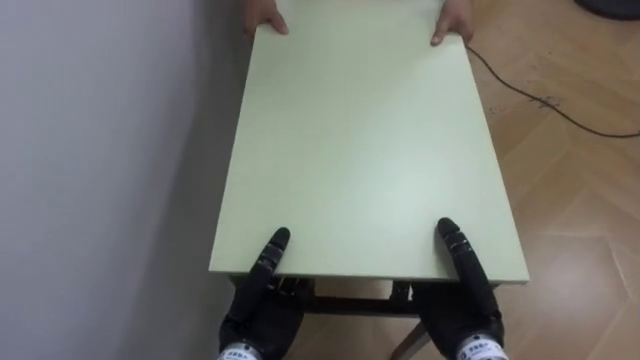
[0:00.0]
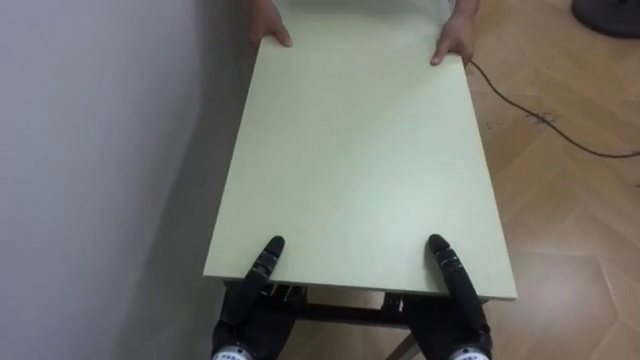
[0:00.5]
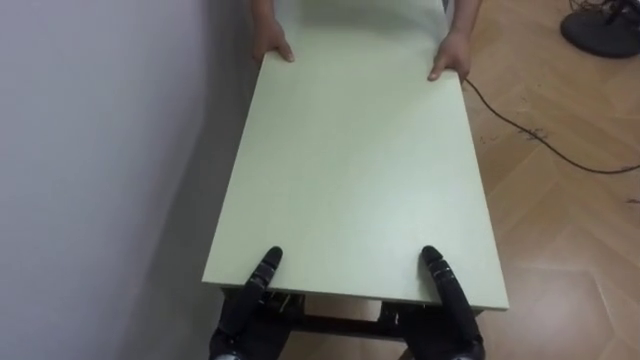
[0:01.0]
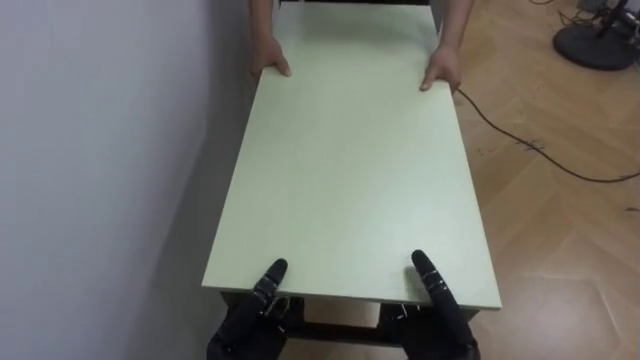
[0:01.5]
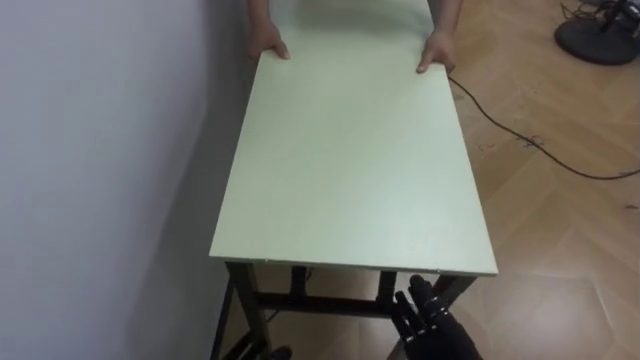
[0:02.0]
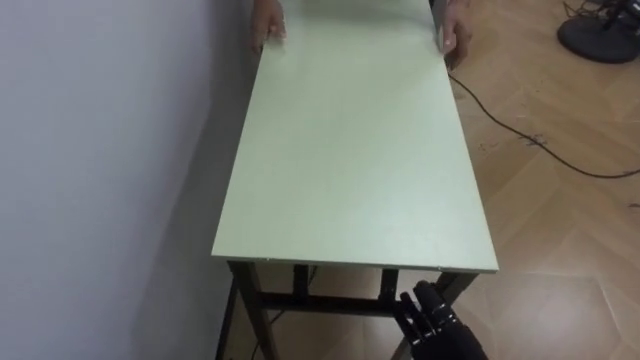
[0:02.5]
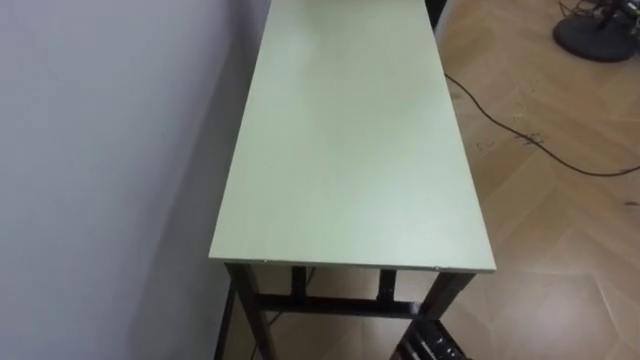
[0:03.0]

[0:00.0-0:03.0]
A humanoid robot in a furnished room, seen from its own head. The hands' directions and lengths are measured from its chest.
Task of the whole recording: Move the table to the back left with someone.
0:00.0 to 0:01.5: The hands both shift downward by about 5 cm.

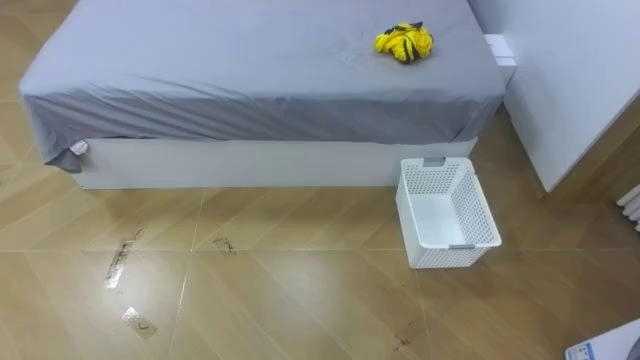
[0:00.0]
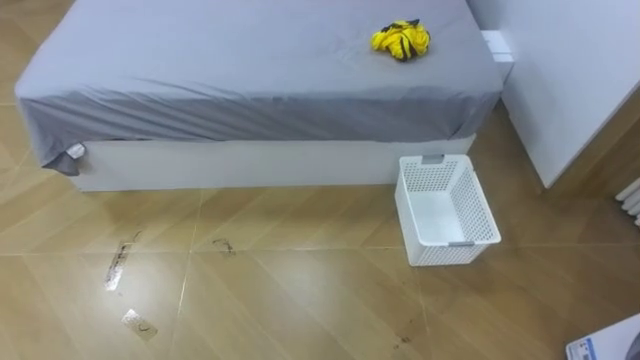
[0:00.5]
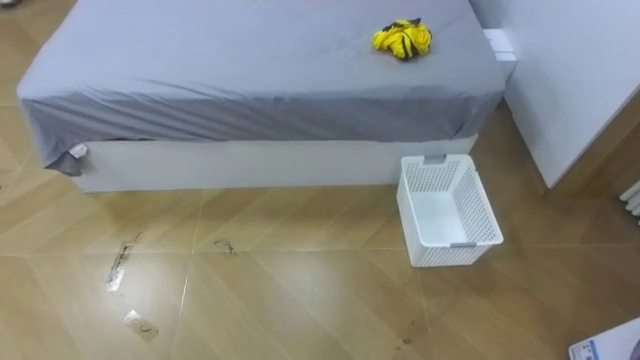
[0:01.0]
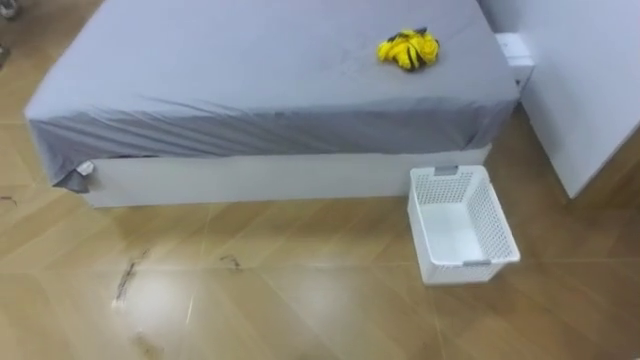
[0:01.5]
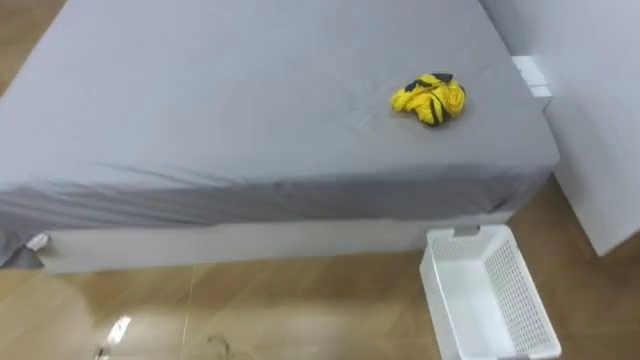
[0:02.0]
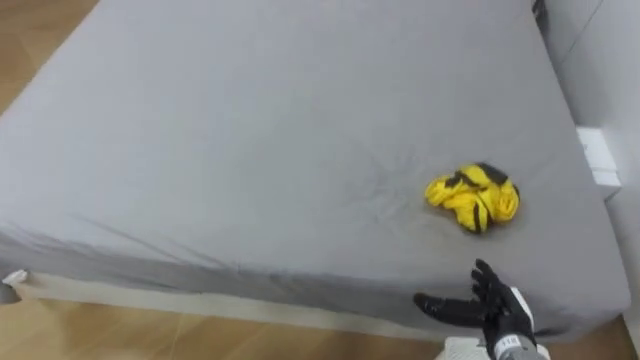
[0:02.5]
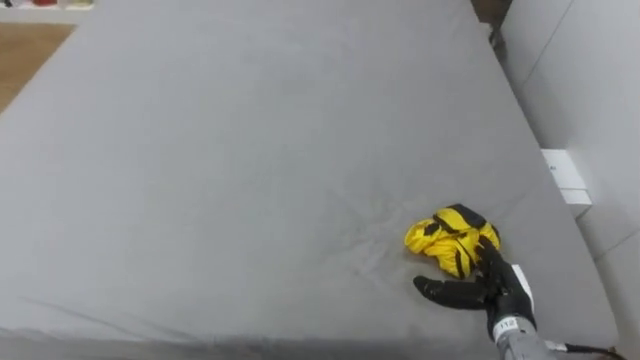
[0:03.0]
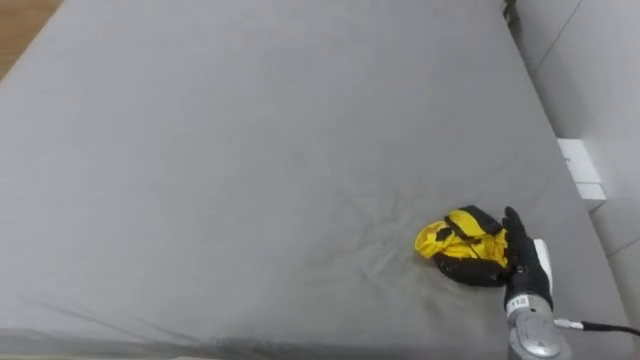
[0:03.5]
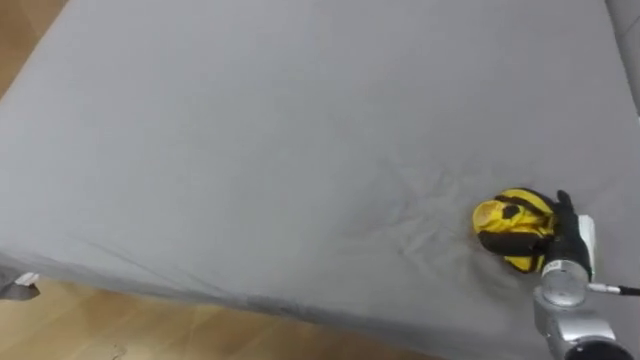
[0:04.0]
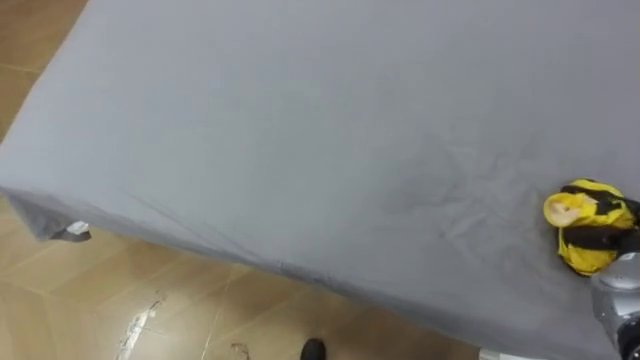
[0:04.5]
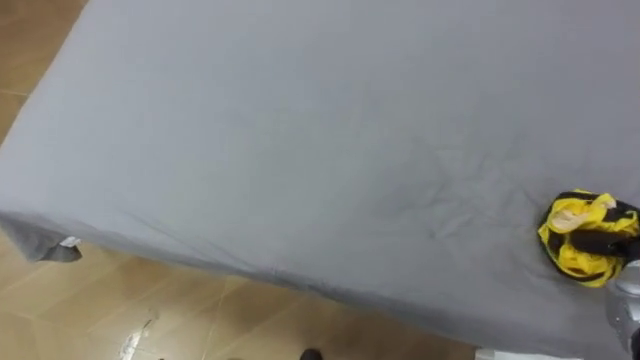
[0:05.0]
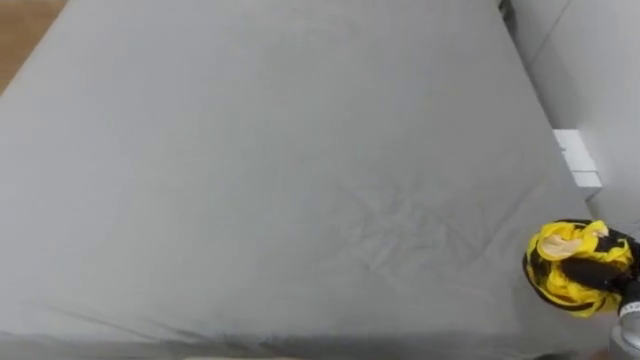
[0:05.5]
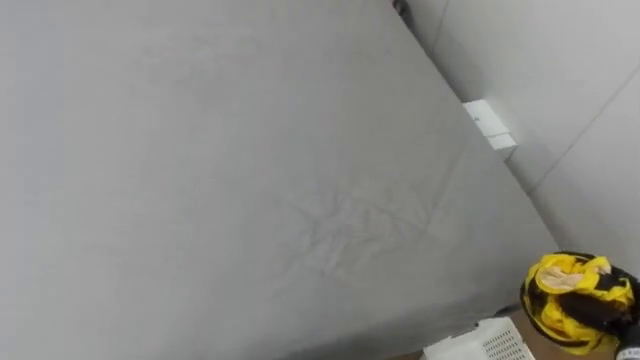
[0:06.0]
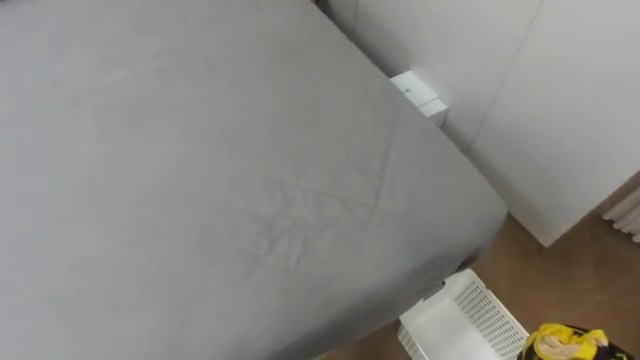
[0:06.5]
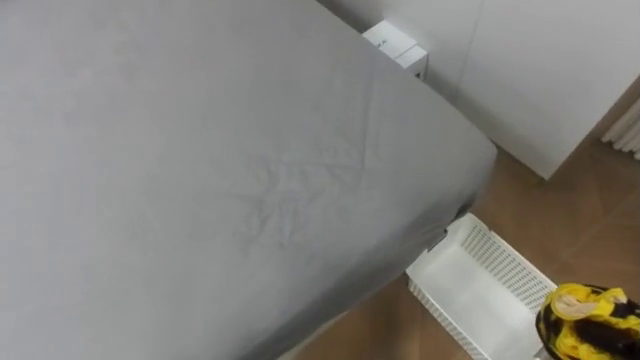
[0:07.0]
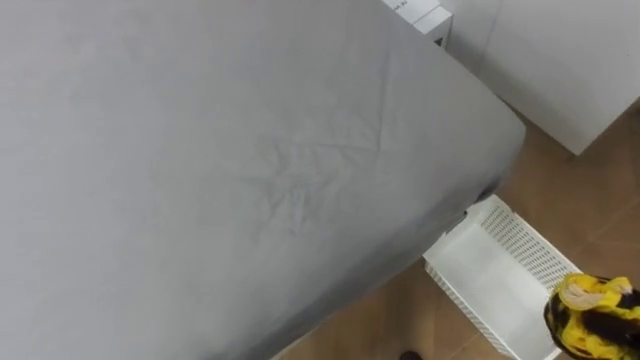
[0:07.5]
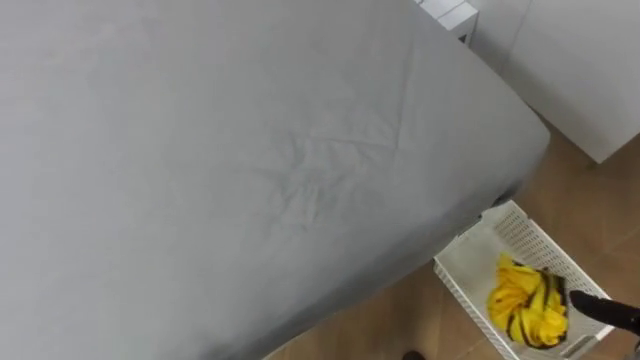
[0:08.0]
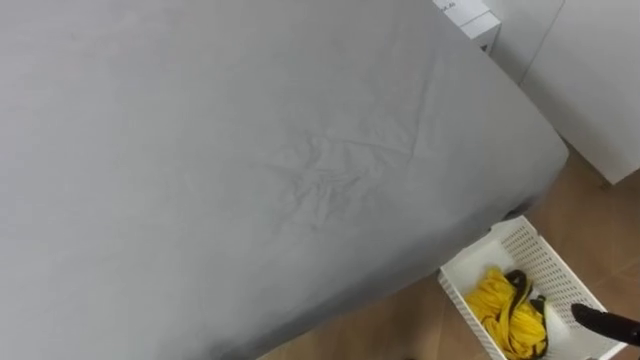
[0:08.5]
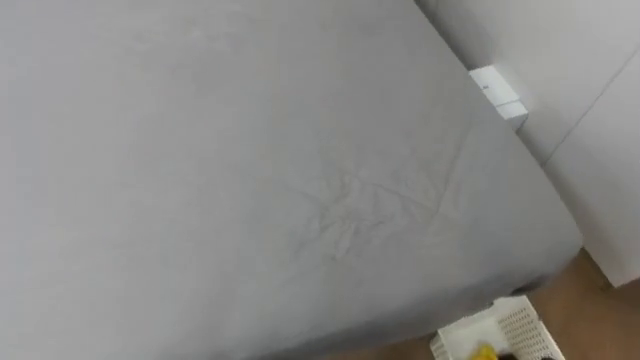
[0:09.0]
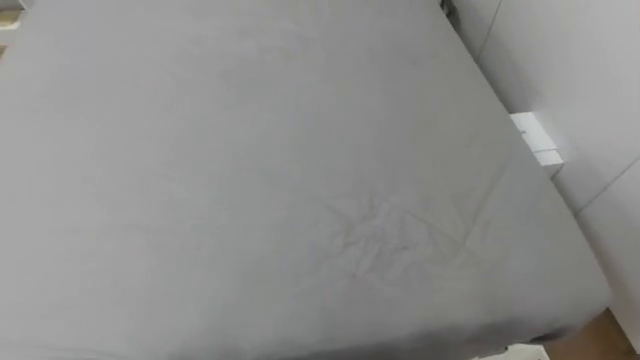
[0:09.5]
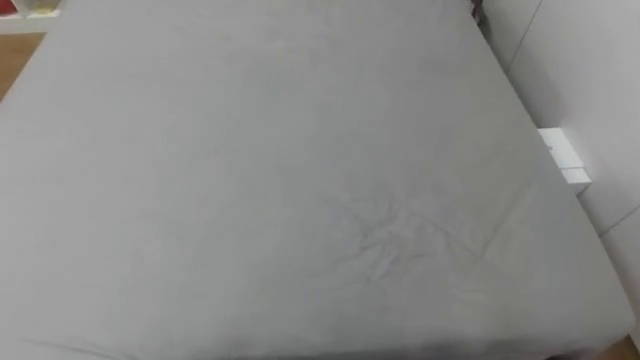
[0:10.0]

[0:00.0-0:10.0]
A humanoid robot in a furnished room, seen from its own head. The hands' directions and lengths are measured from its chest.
Task of the whole recording: Pick up the yellow clothes on the bed and place them into the white basket on the right.
0:04.0 to 0:06.0: The right hand moves backward and to the right, approximately 15 cm, and closes up.

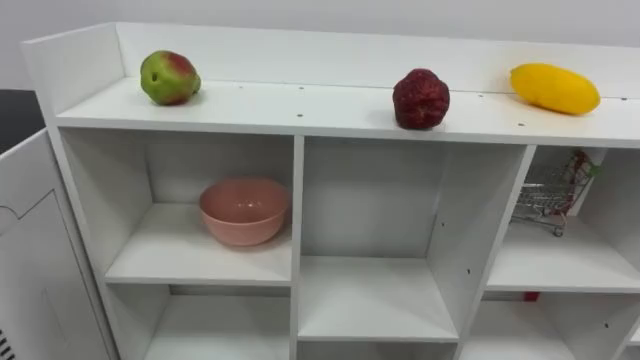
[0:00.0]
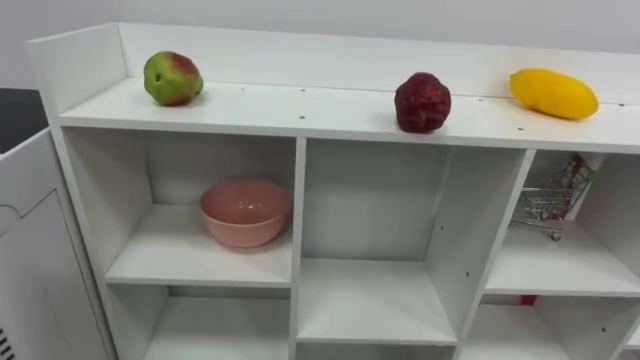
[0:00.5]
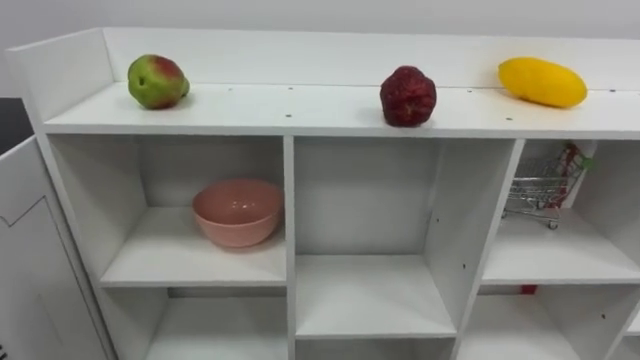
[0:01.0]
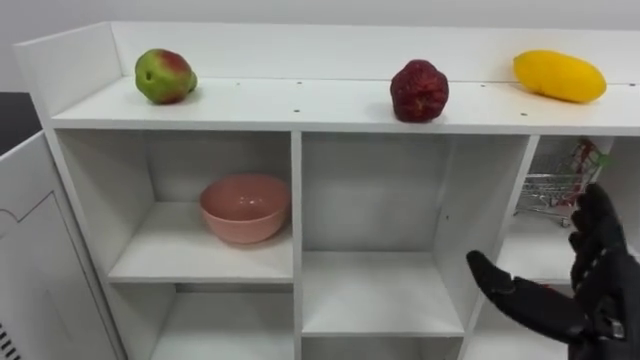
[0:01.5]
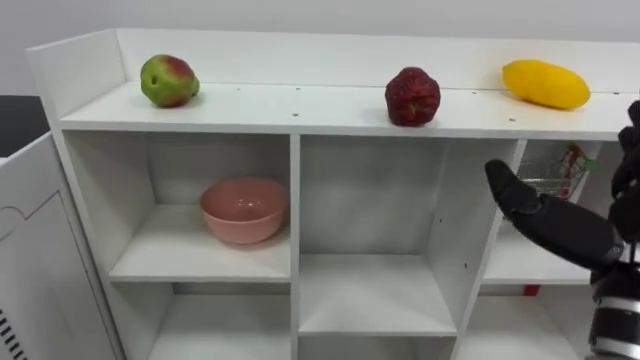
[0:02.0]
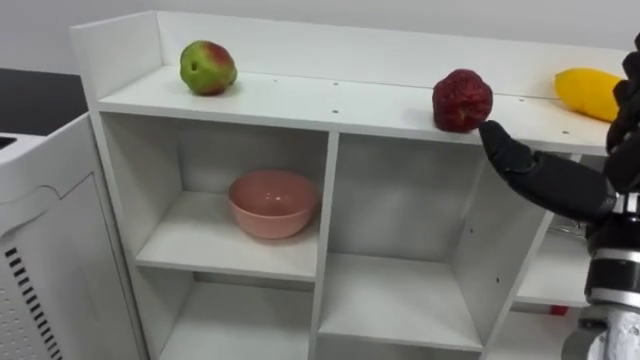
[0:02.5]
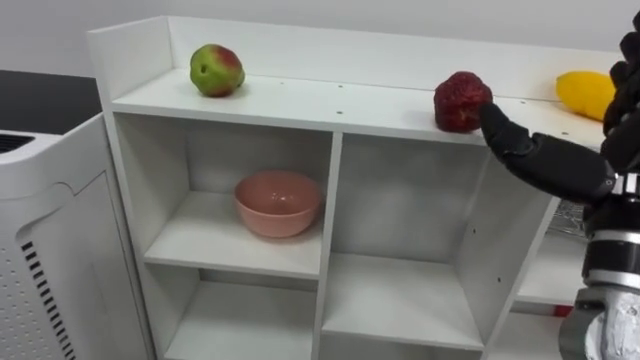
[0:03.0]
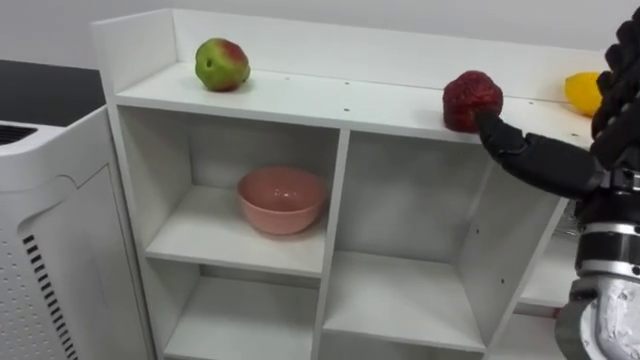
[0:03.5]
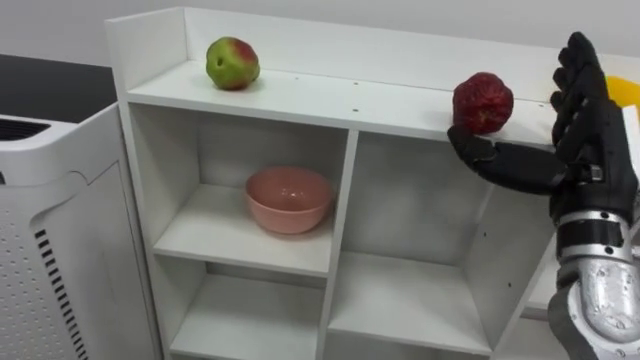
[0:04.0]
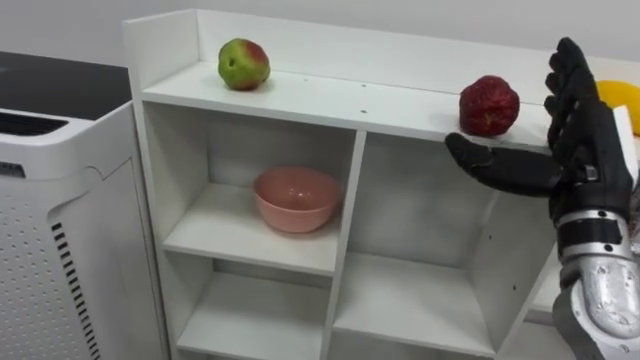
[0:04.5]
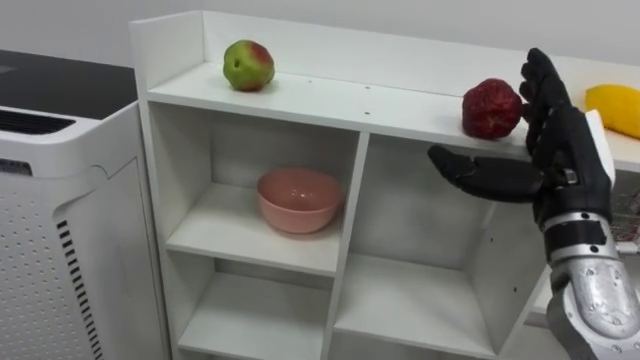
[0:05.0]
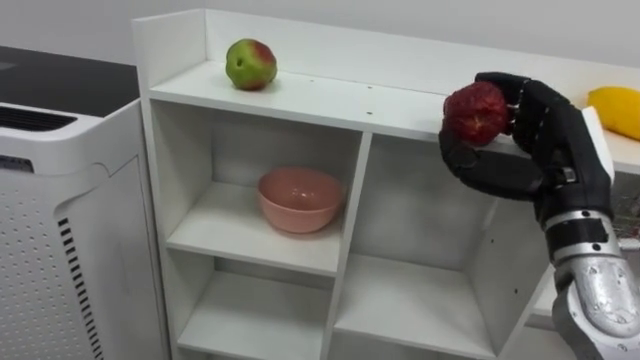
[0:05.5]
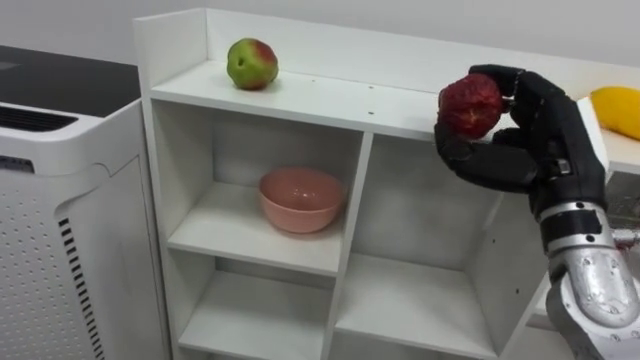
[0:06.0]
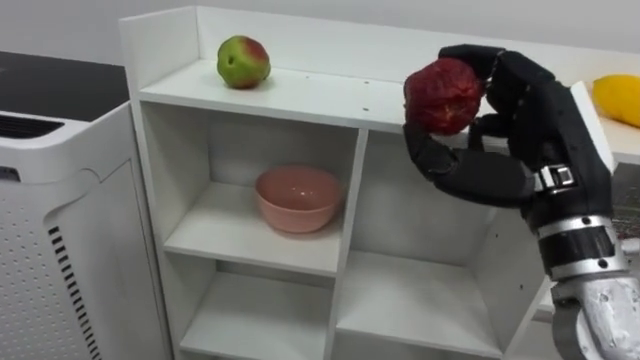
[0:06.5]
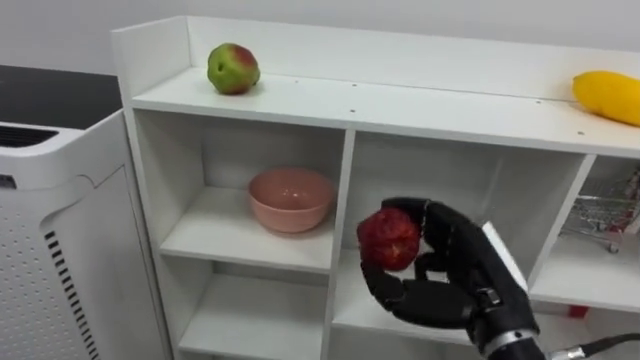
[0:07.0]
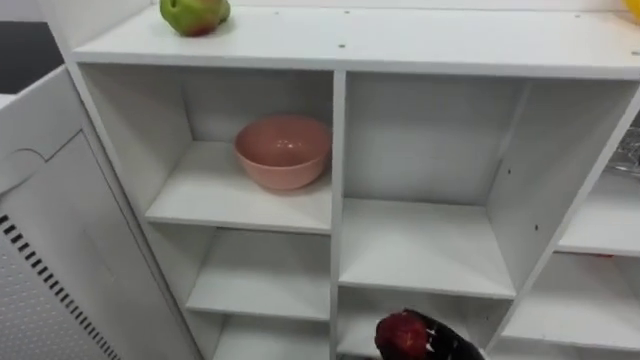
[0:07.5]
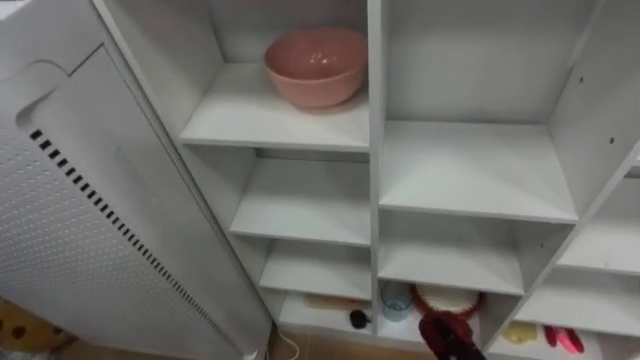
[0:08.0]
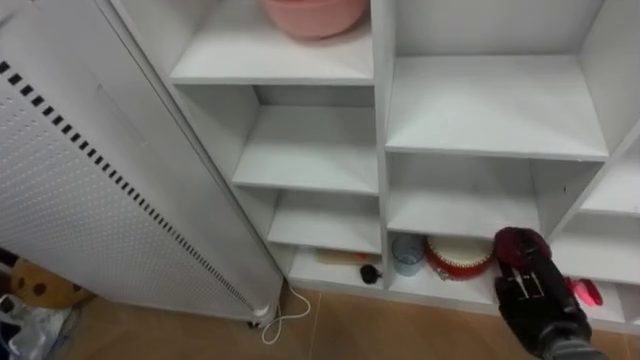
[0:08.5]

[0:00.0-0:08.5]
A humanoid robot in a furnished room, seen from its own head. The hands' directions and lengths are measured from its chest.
Task of the whole recording: Put the apple in the cell in the second column from the left and the second row from the top.
0:02.0 to 0:04.0: The right hand is displaced forward by approximately 10 cm.
0:04.0 to 0:06.5: The right hand shifts some 5 cm to the left, and closes up.
